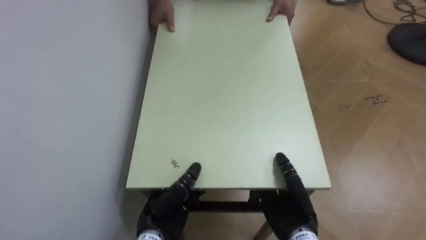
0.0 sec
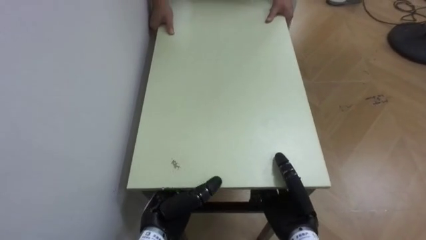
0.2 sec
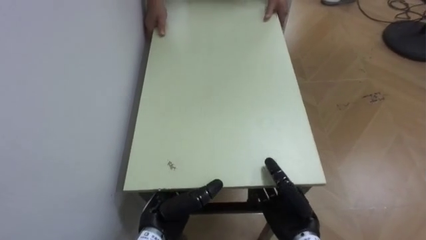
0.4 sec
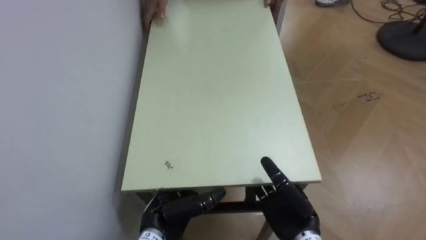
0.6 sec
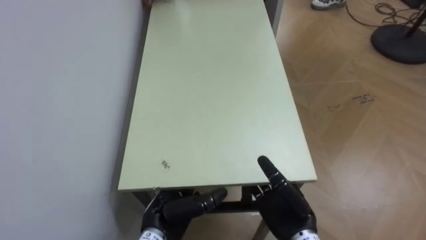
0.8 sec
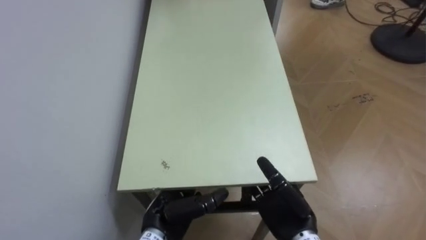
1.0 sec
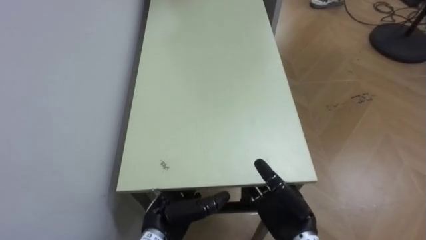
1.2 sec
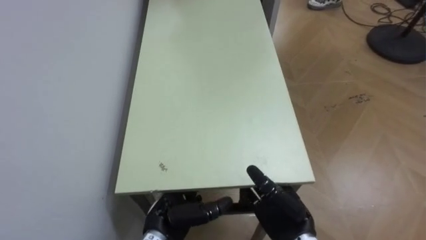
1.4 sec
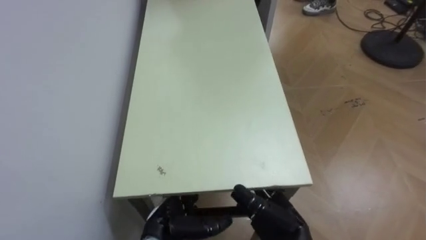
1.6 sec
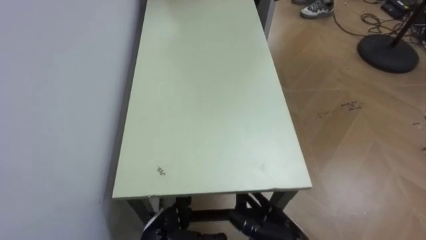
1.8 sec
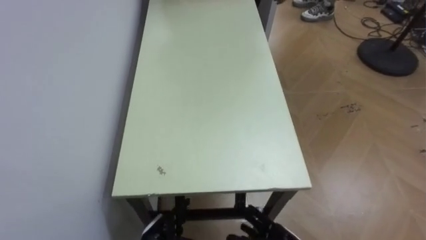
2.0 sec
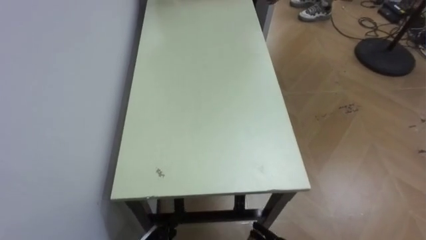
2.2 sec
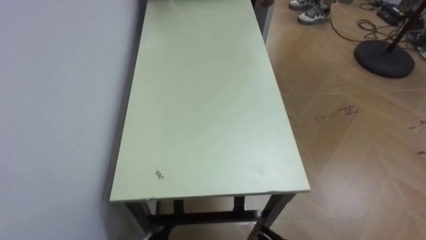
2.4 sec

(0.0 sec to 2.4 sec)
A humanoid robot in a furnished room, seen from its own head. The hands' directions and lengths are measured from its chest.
Task of the whole recording: Move the table to the back left with someone.
0.0 sec - 1.2 sec: The right hand opens its fingers. The left hand opens.

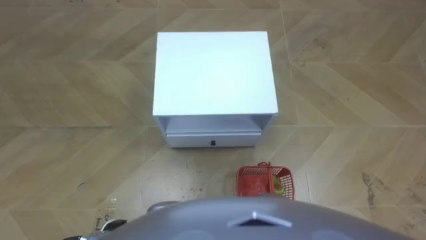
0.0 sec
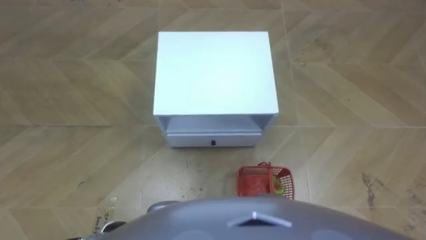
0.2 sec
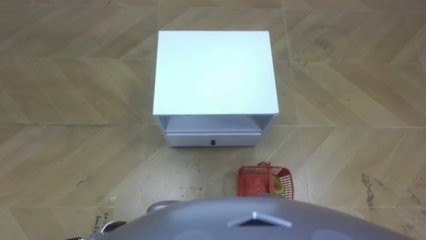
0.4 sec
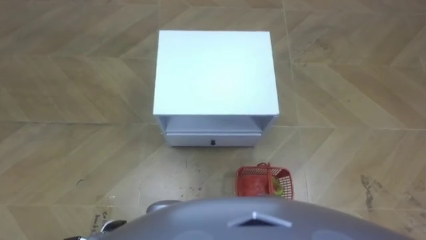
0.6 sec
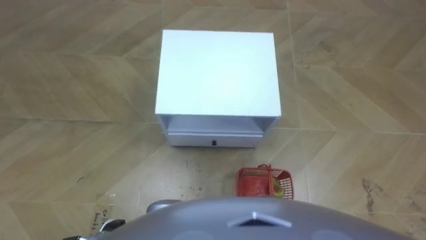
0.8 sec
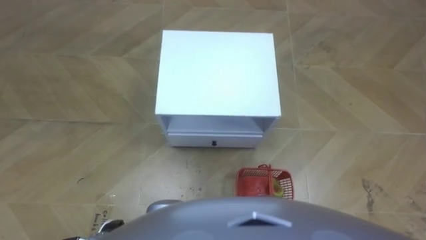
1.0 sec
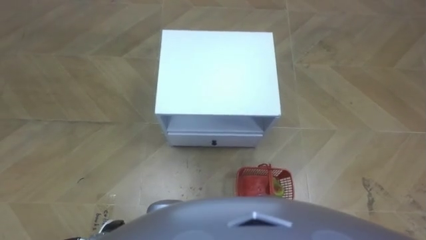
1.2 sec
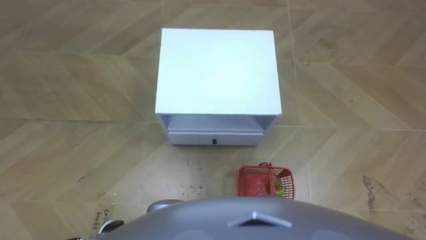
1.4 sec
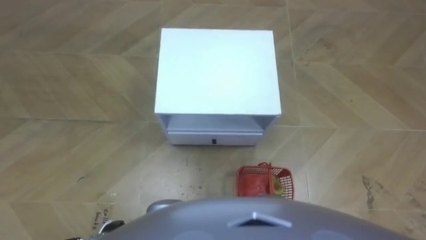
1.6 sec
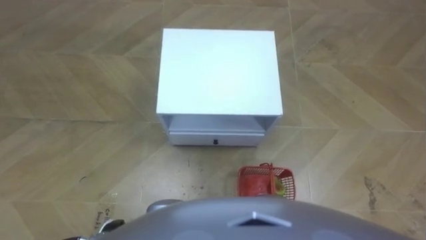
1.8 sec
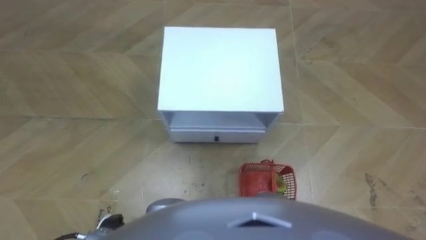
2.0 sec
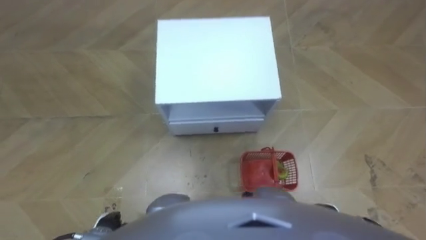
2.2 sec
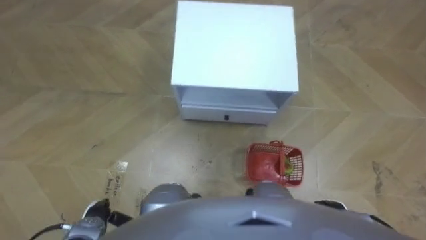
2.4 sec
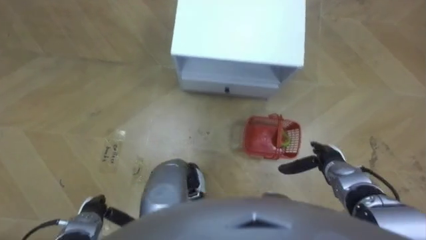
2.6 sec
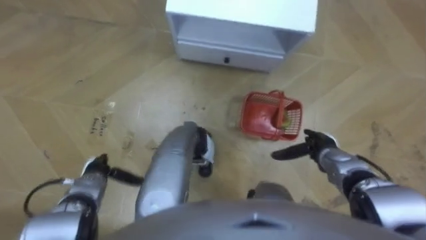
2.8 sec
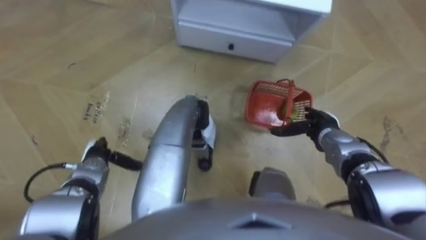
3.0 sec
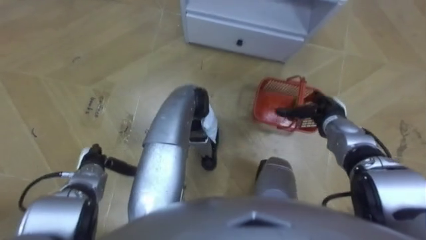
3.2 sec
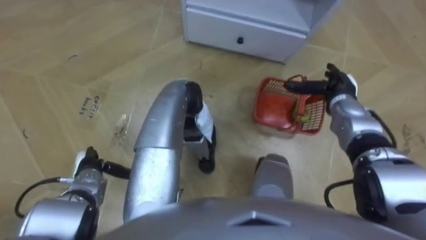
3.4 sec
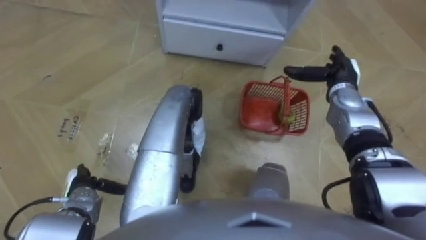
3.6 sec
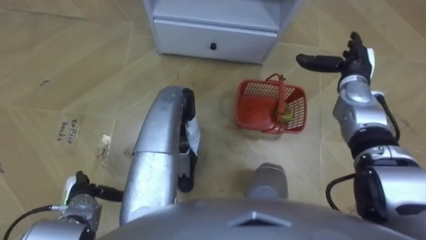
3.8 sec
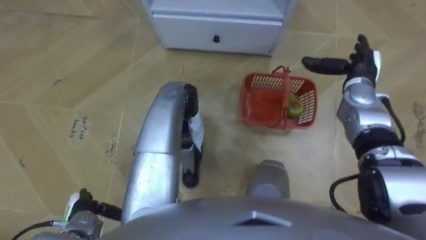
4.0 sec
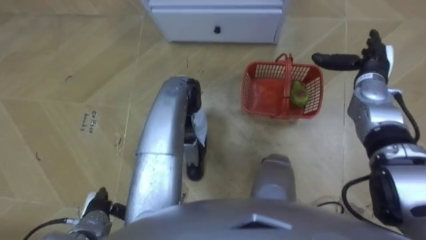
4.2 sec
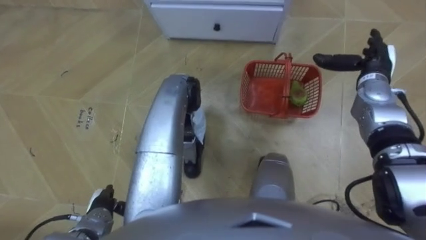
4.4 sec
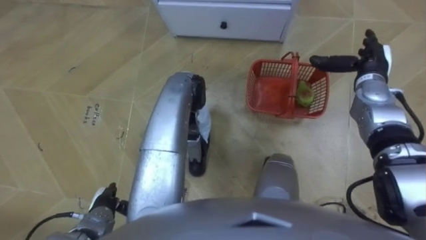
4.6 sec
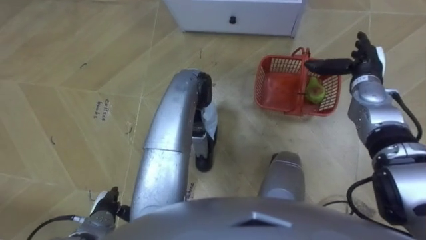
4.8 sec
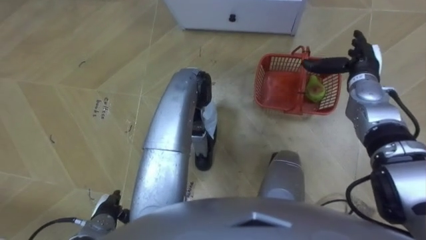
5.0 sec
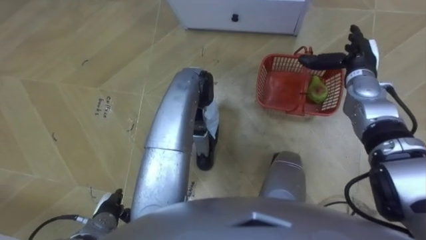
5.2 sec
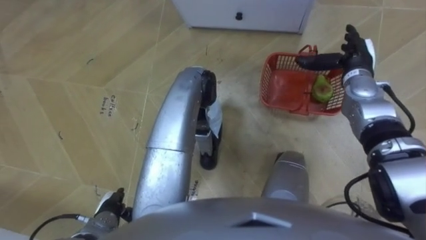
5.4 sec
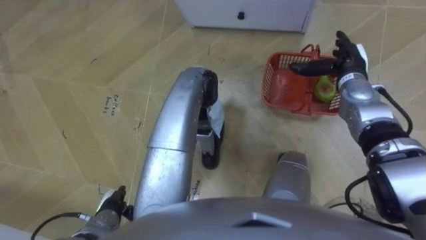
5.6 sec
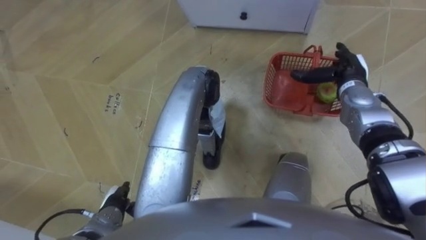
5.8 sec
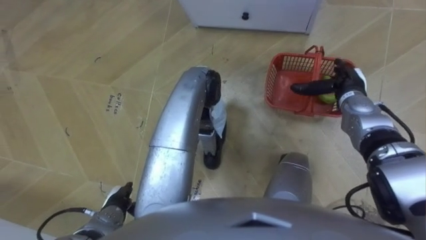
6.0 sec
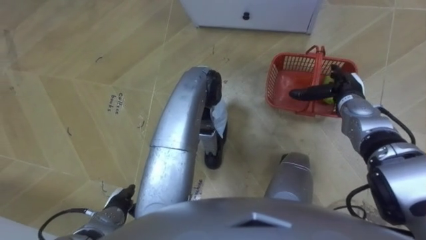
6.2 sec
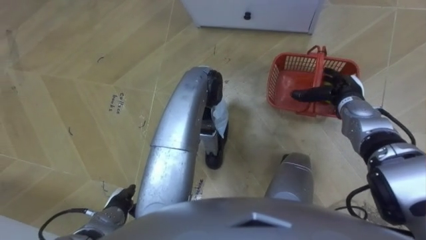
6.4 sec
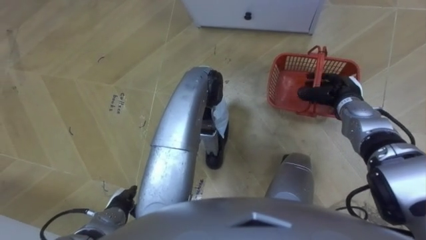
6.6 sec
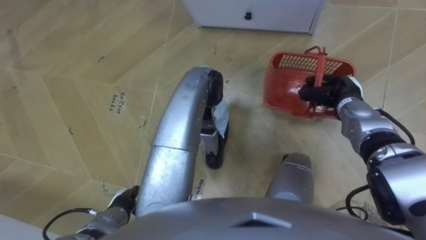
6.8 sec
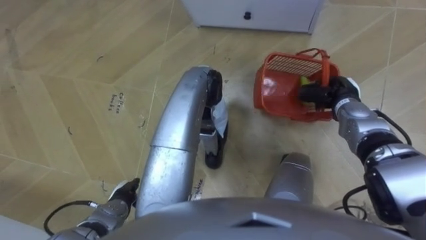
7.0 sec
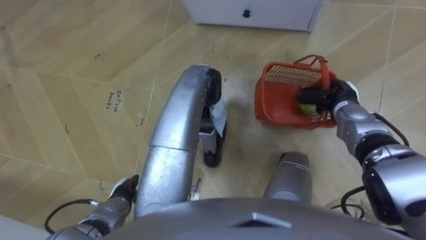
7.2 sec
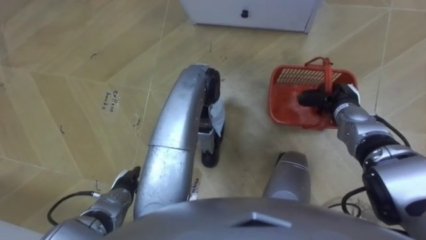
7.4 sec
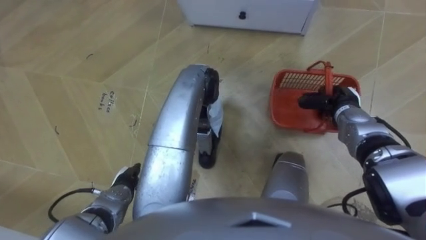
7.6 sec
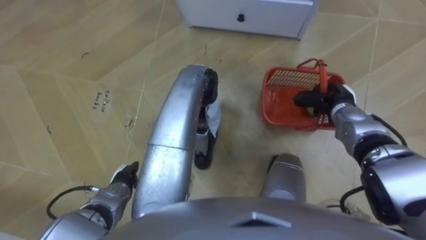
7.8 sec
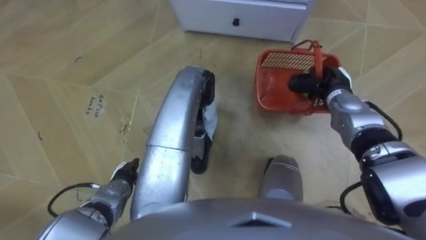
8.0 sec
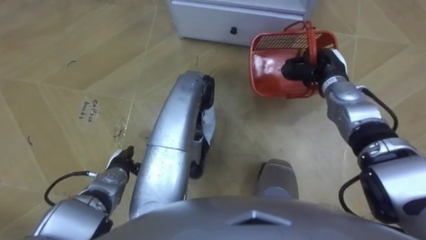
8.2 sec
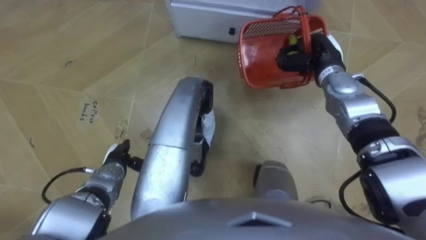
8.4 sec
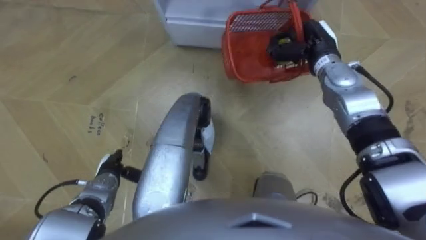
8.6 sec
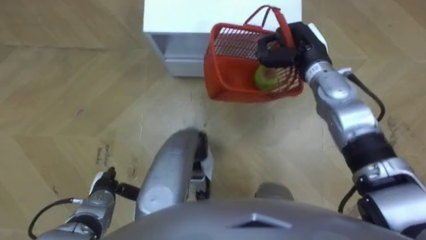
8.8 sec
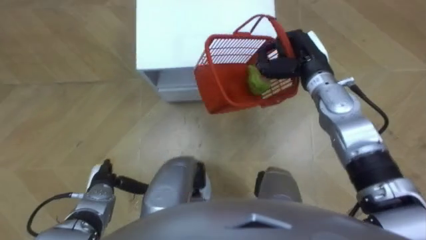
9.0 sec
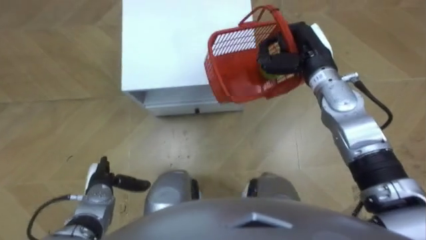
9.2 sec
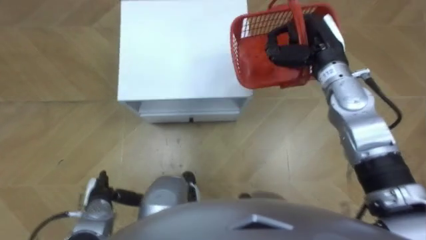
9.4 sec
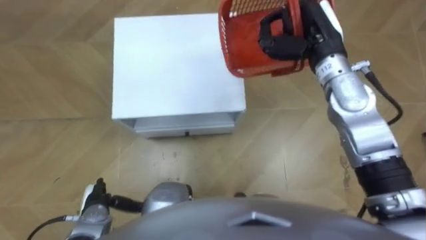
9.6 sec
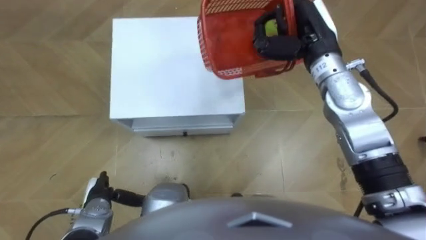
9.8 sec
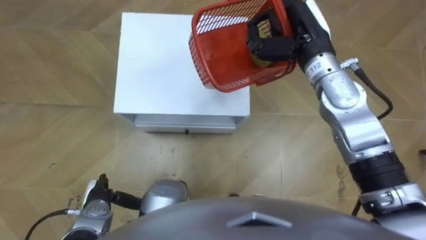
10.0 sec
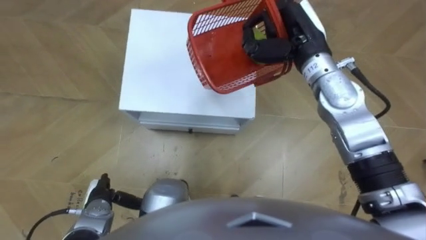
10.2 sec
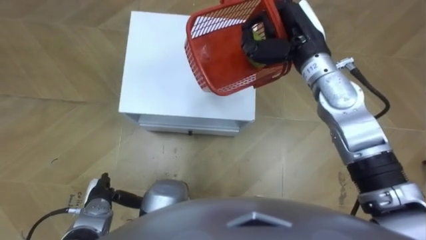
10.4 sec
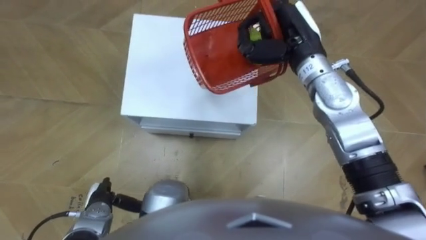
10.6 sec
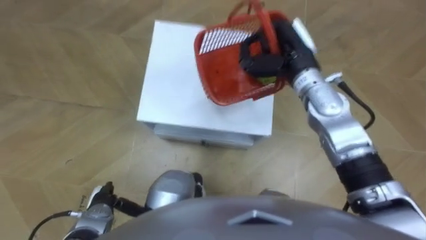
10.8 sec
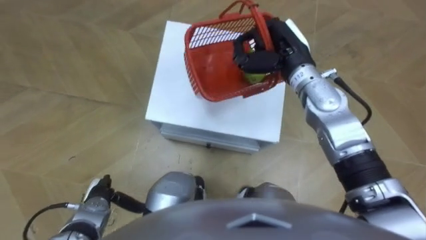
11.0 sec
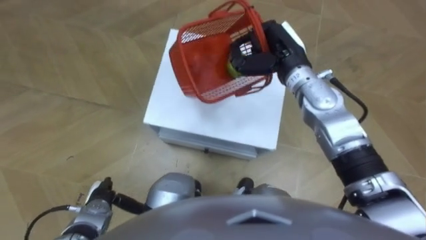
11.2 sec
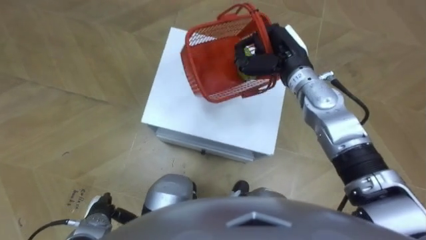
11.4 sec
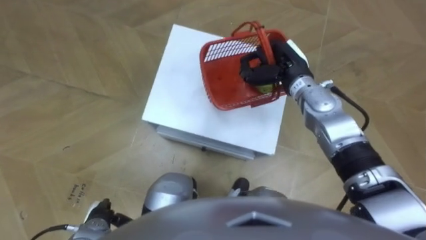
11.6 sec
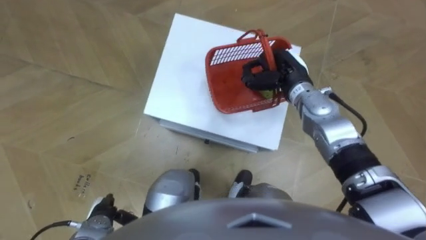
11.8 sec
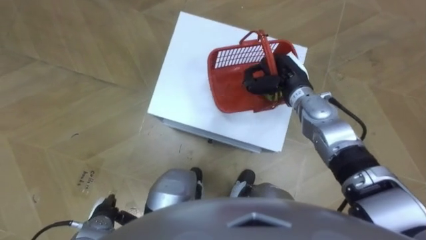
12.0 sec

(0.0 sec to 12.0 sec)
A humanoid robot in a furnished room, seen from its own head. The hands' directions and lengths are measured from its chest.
Task of the whole recording: Pick up the fruit basket from the floor and place it on the cabinet.
1.6 sec - 3.0 sec: The two hands go about 20 cm forward.
3.0 sec - 4.4 sec: The left hand moves backward, roughly 10 cm, while the right hand goes some 15 cm upward, forward and to the right.
4.4 sec - 6.0 sec: The right hand moves some 5 cm.
6.0 sec - 7.6 sec: The right hand closes.
7.6 sec - 9.0 sec: The right hand travels upward, to the left and forward by about 15 cm. Meanwhile the left hand shifts roughly 5 cm to the left.
9.0 sec - 10.4 sec: The right hand heads upward, covering some 5 cm.
10.4 sec - 12.0 sec: The right hand travels downward by roughly 10 cm.

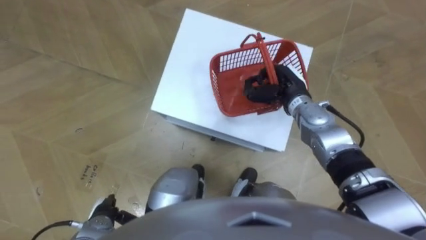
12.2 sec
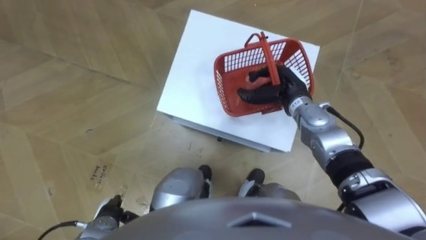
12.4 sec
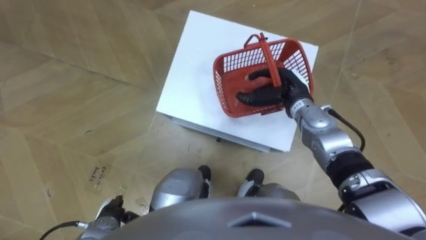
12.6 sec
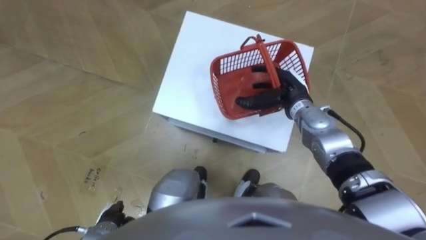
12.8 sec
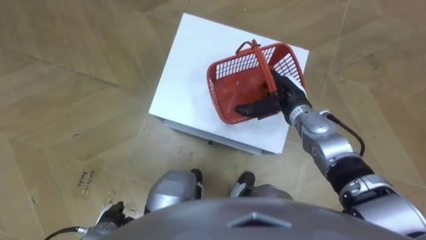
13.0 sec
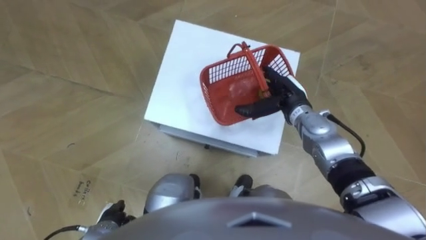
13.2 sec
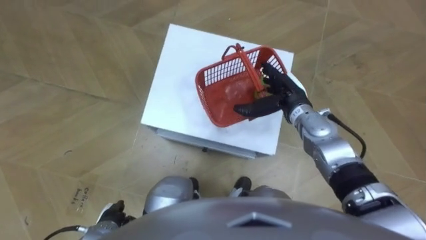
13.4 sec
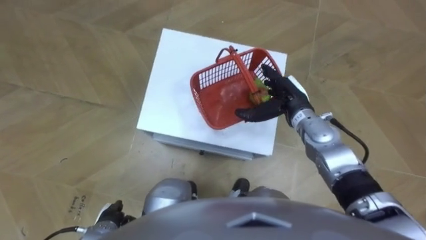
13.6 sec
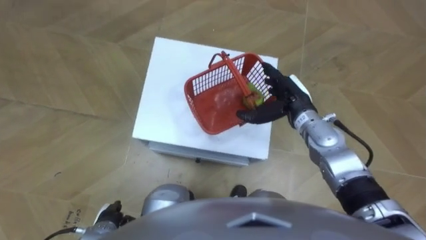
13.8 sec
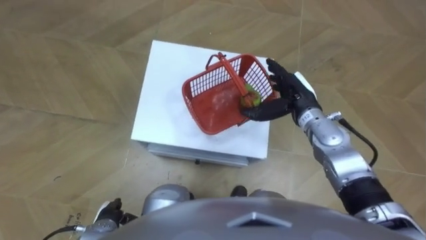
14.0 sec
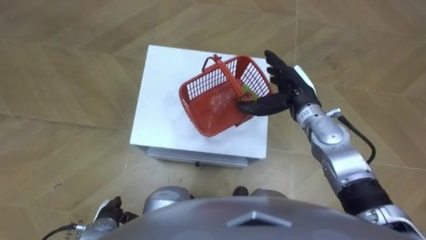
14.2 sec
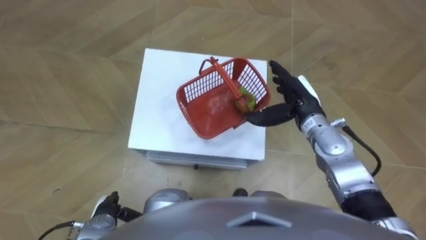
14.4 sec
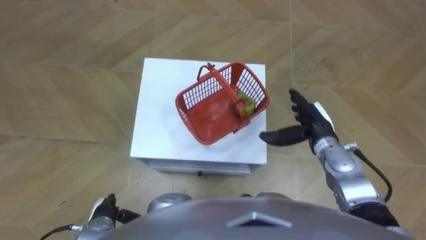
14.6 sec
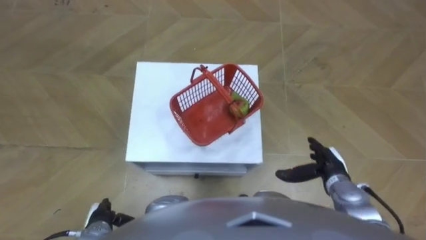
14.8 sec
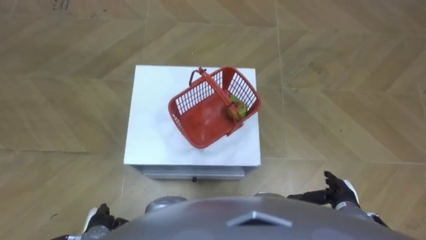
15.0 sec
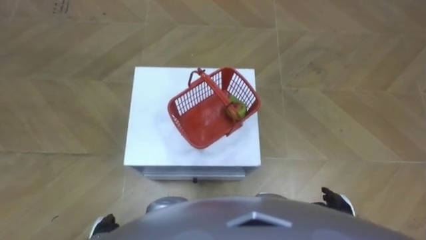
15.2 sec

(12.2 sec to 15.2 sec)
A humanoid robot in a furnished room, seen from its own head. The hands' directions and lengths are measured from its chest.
Task of the whole recording: Pick up the fruit basket from the floor and place it on the cabinet.
12.2 sec - 13.8 sec: The right hand opens.
13.8 sec - 15.2 sec: The right hand goes about 30 cm backward, downward and to the right.
